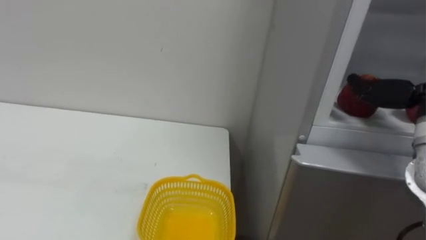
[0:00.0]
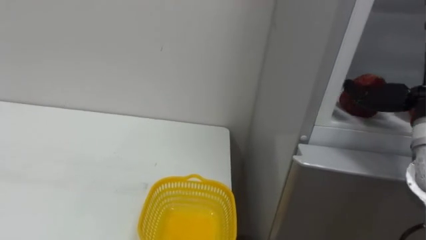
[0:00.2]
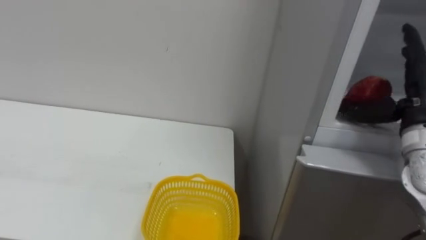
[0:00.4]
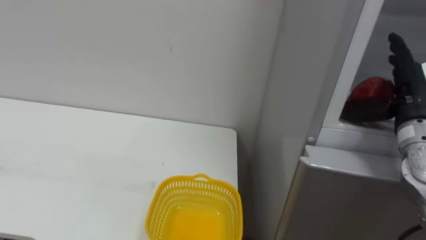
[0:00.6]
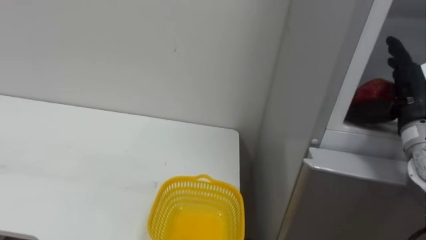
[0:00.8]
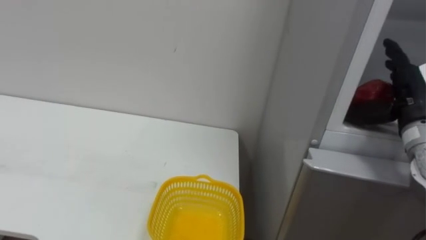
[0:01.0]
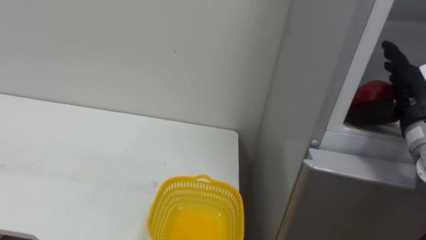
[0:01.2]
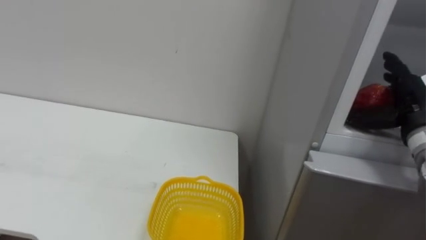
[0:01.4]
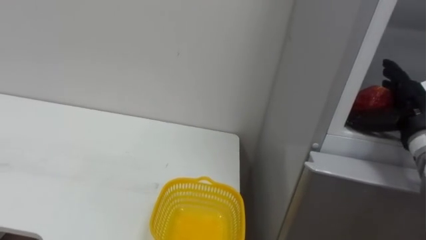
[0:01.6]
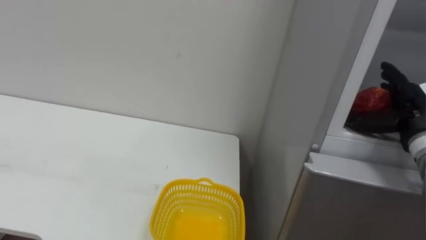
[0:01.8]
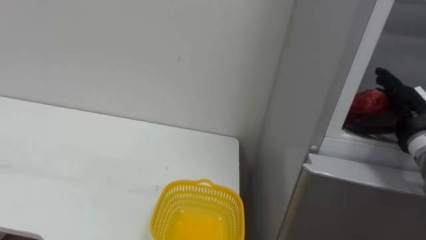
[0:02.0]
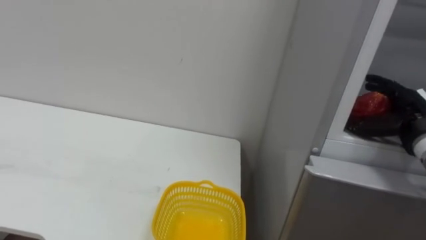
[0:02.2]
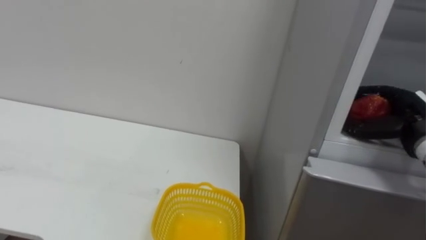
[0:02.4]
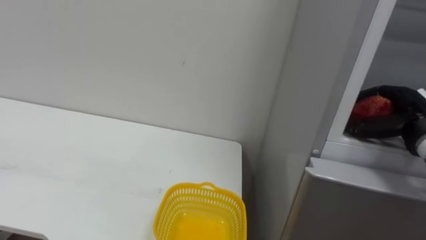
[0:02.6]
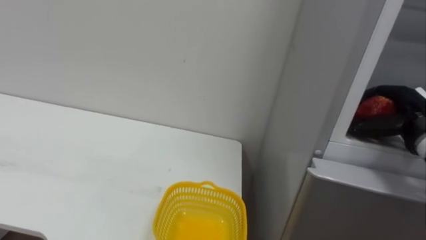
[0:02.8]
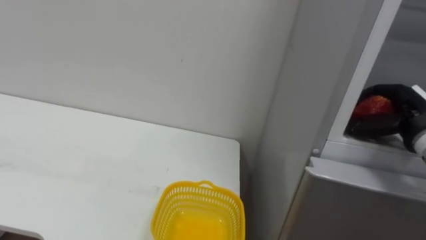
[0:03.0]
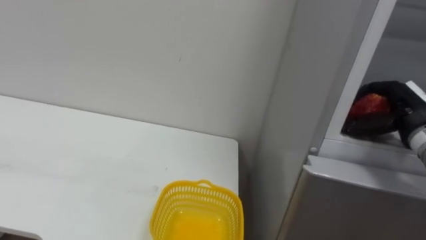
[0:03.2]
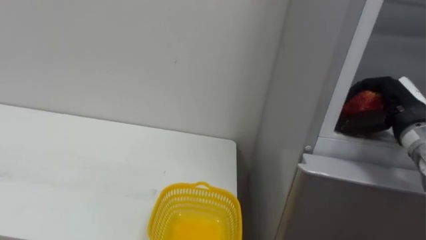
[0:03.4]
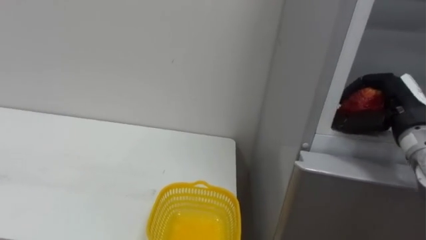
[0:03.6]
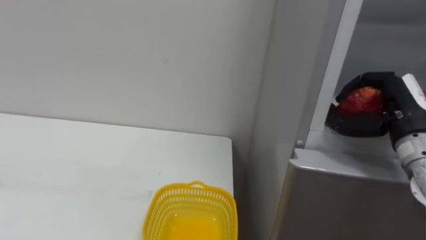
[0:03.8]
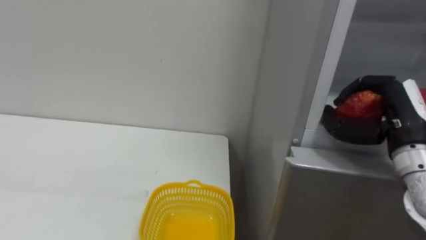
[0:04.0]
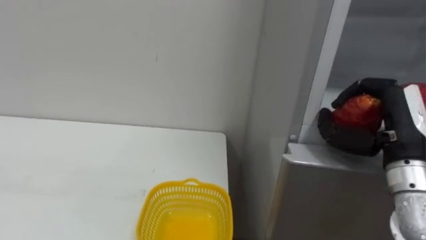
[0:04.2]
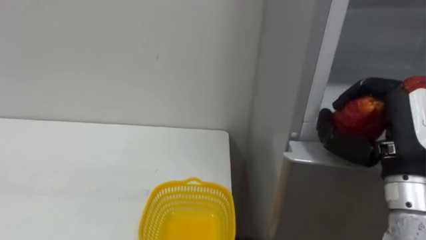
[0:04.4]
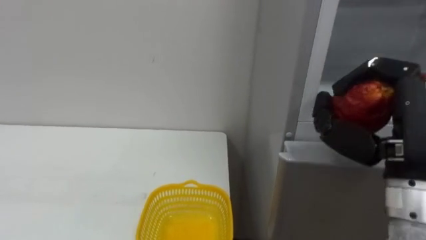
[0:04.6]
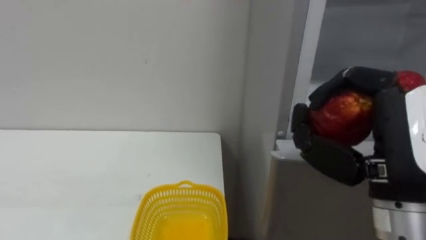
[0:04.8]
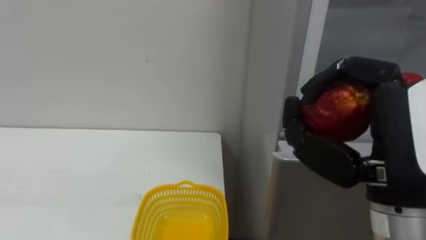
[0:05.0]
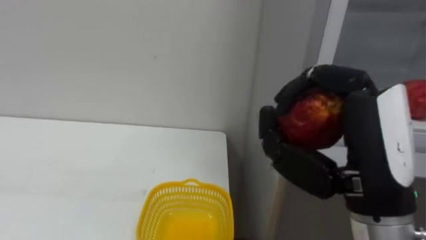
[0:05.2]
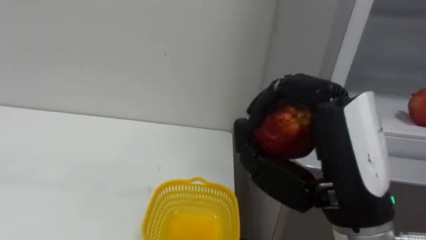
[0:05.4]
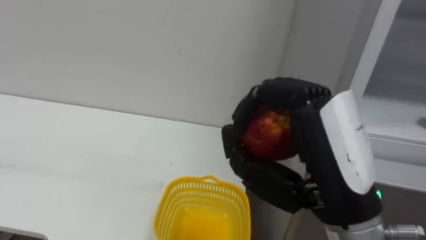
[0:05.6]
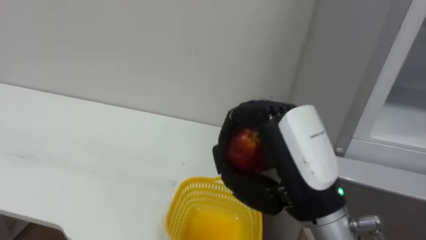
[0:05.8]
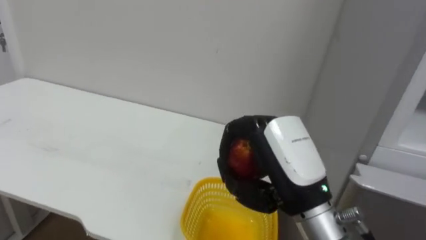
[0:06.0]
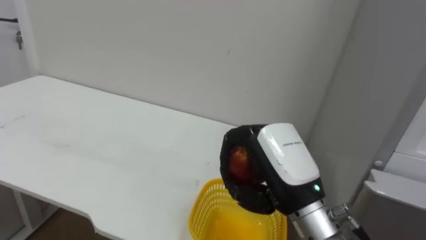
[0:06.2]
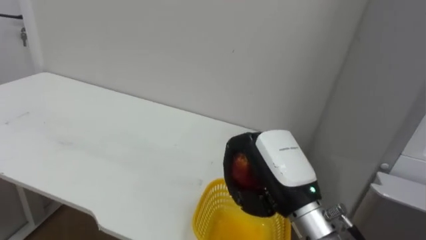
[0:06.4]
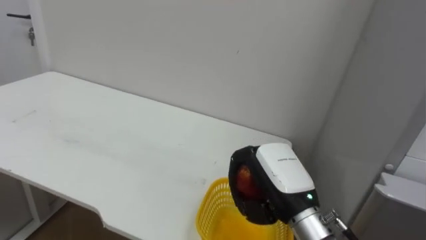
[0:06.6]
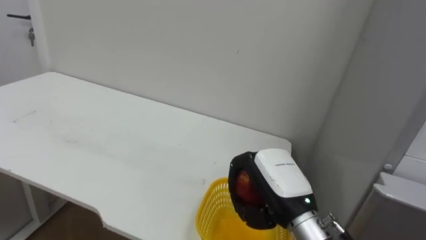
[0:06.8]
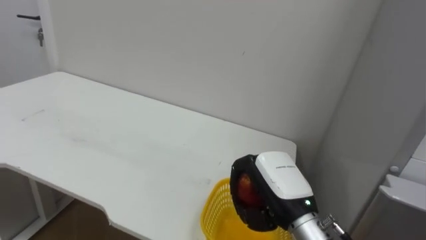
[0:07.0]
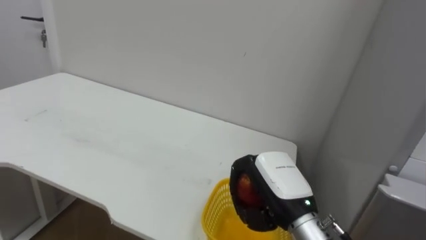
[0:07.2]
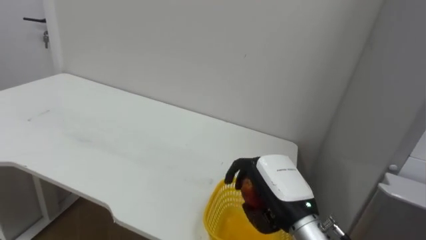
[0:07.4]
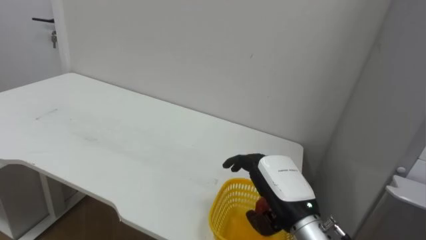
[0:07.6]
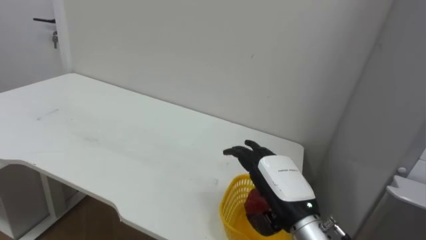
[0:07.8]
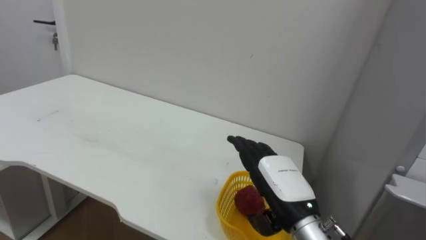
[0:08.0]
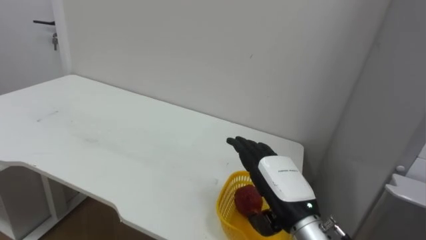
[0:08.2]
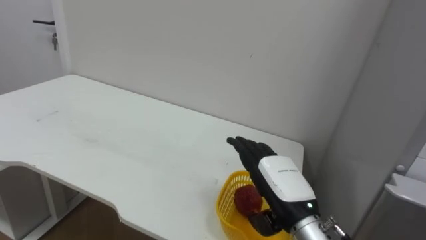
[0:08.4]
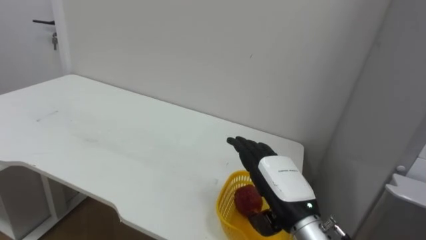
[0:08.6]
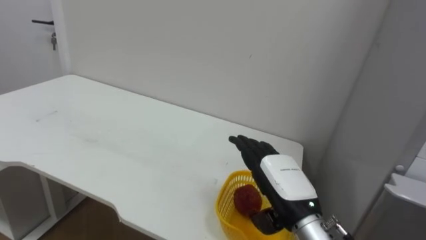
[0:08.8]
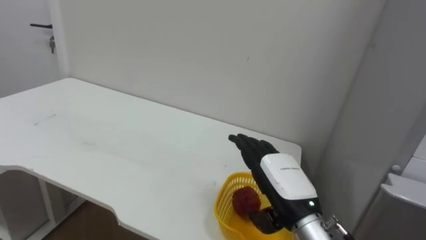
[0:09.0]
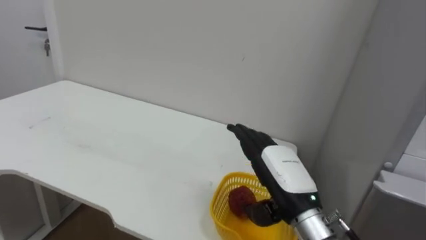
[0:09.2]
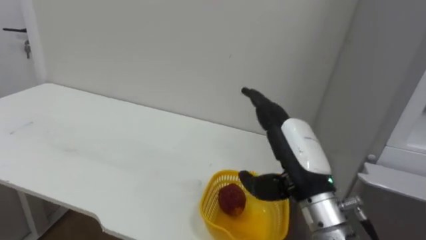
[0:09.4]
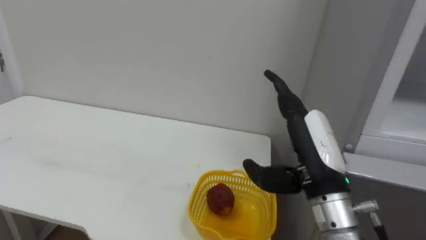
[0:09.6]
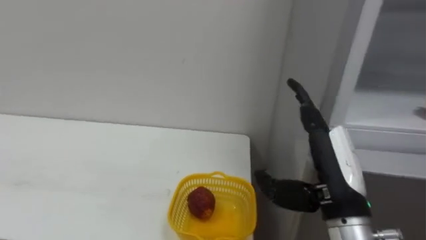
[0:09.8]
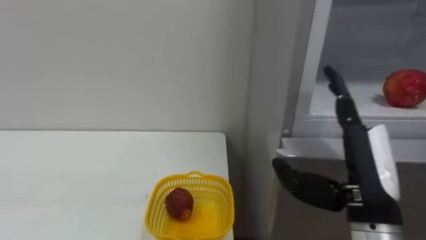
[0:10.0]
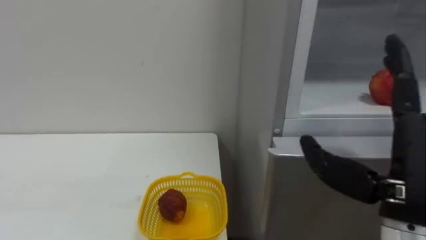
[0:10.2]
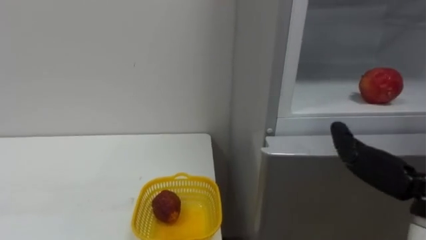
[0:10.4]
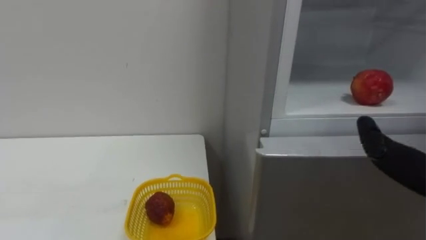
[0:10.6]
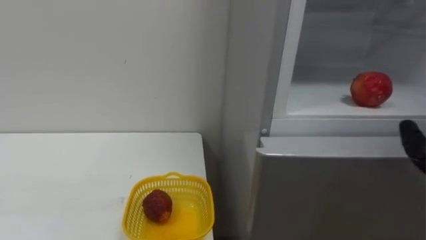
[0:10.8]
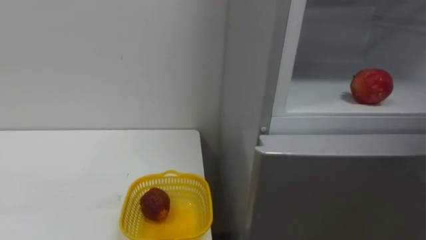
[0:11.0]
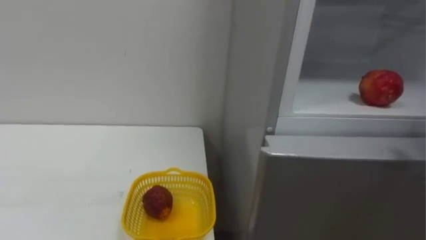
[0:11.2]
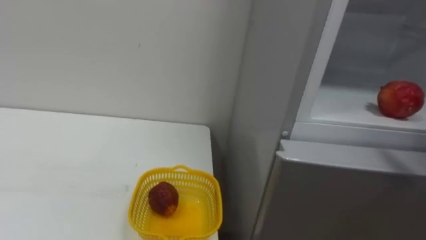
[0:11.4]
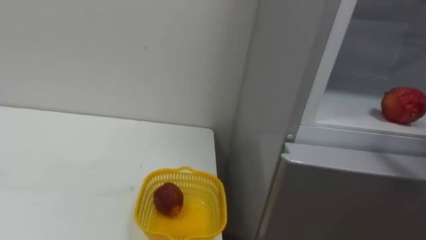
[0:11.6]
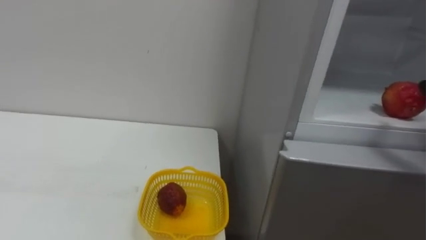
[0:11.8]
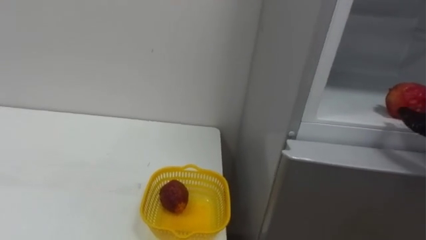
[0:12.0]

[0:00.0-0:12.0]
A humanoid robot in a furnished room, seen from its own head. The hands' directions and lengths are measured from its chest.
Task of the whole recording: Open the refrigerator door, take out the apple and the pomegranate, place them in the fruit basket on the left, and close the refrigerator door.
0:01.6 to 0:03.0: The right hand closes.
0:03.0 to 0:04.4: The right hand travels backward and to the left by roughly 15 cm.
0:04.4 to 0:06.0: The right hand is displaced to the left by approximately 15 cm.
0:06.0 to 0:07.6: The right hand moves downward, about 10 cm, and opens up.

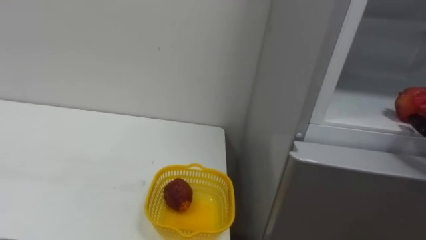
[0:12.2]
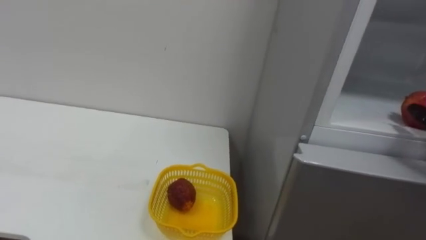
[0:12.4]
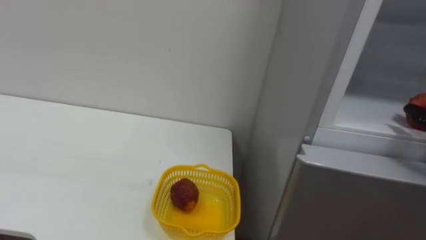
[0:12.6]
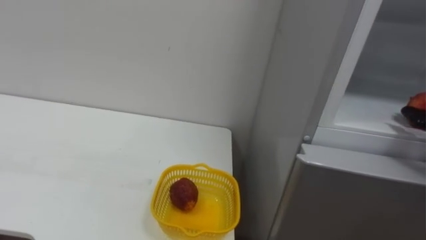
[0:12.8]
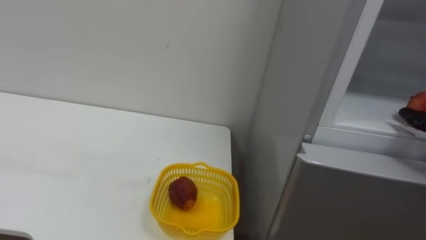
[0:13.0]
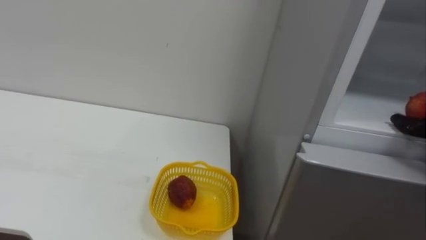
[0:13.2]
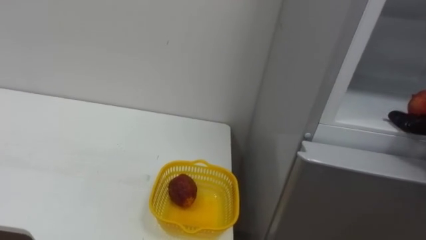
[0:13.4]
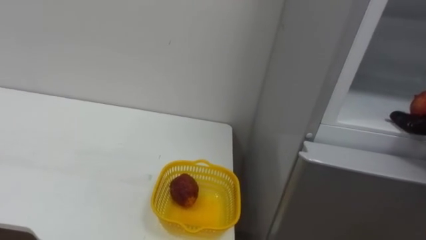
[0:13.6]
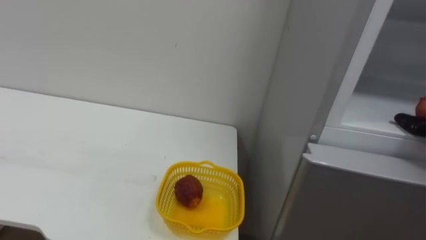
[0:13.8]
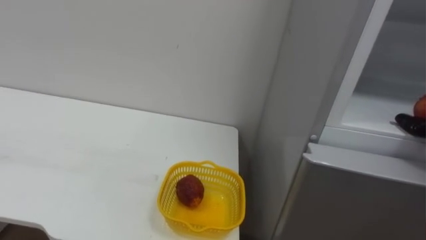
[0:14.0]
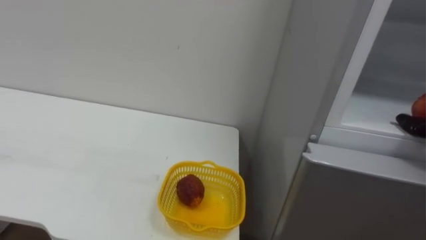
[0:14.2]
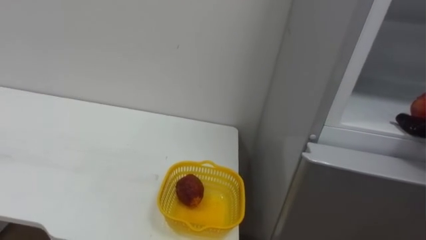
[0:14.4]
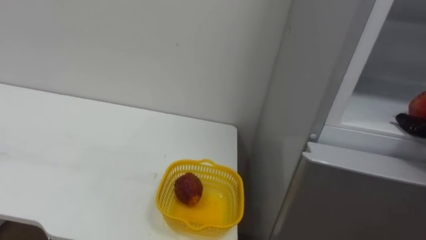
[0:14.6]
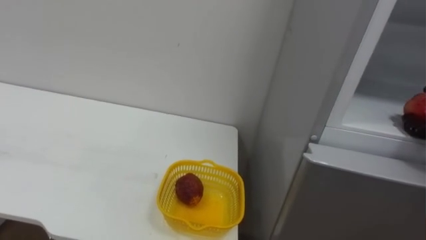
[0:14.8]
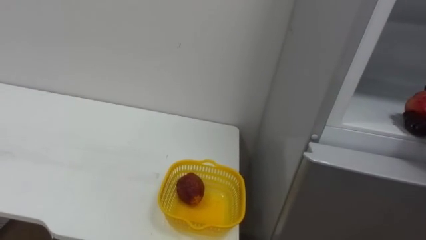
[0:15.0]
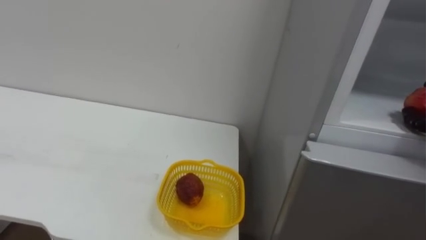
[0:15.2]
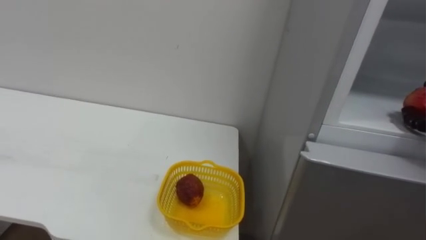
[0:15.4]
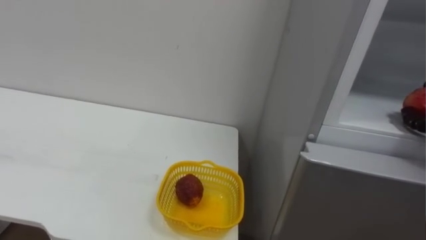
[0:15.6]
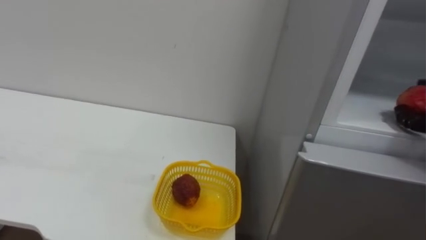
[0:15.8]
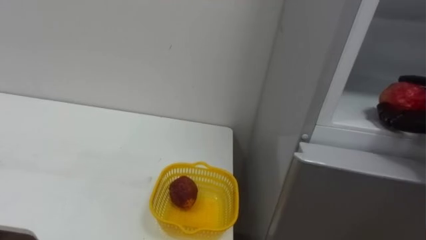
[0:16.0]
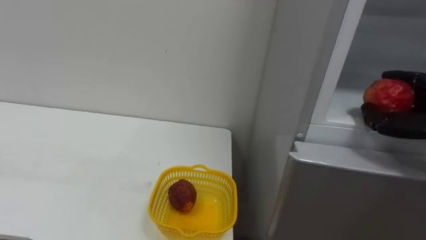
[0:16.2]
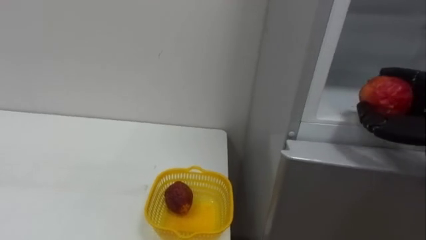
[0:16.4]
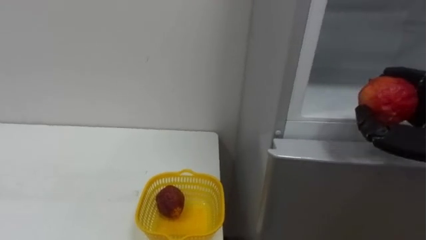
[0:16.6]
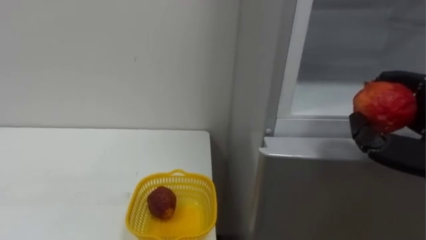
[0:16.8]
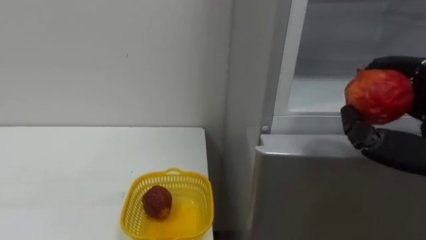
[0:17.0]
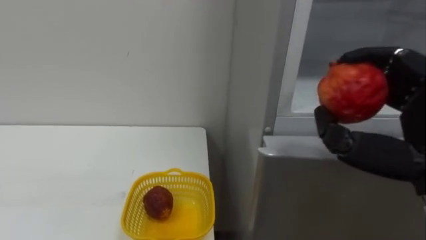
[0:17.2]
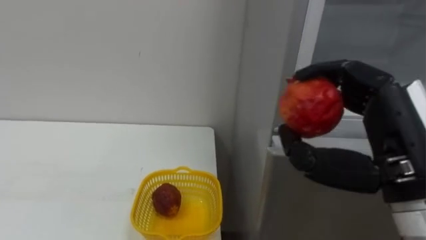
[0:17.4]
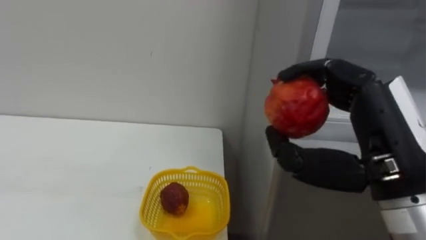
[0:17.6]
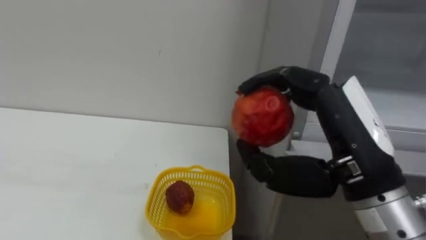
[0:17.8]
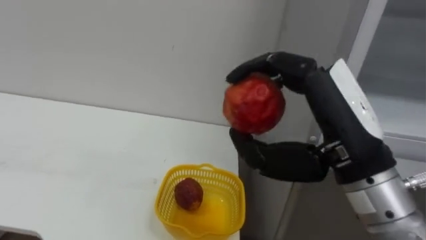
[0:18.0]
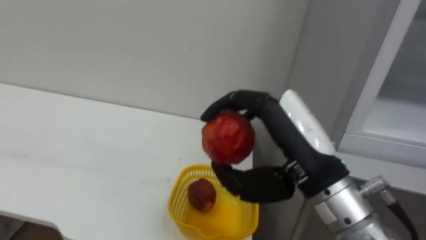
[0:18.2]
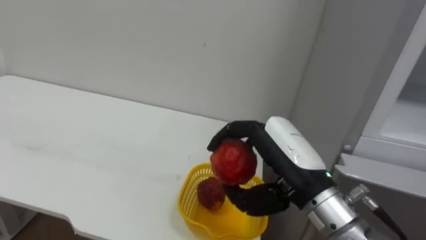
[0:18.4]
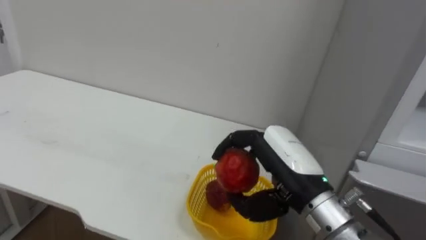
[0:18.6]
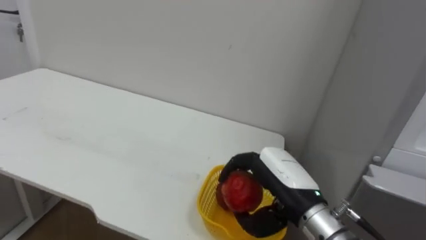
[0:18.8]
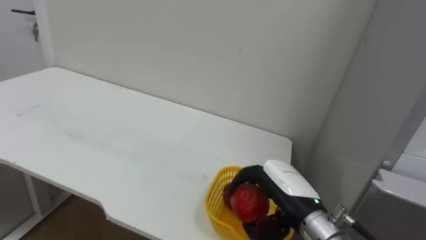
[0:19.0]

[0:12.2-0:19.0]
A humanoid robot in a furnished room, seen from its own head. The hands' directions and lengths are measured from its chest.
Task of the whole recording: Open the refrigerator door, take out the apple and the pomegranate, place them in the fruit basket on the left, and close the refrigerator door.
0:17.6 to 0:19.0: The right hand travels downward and forward by some 20 cm.
